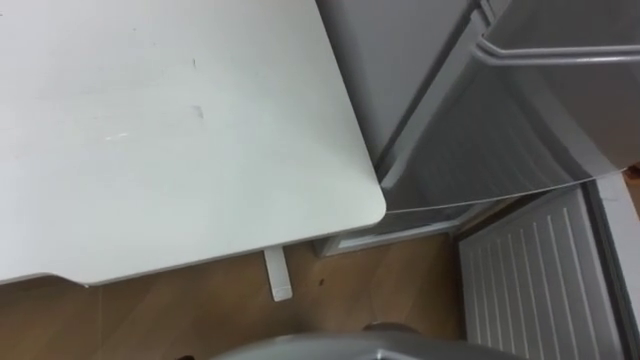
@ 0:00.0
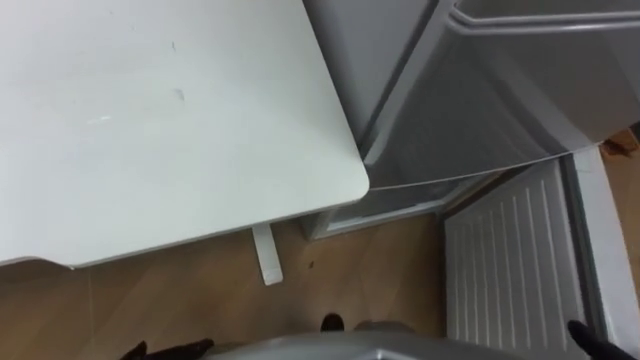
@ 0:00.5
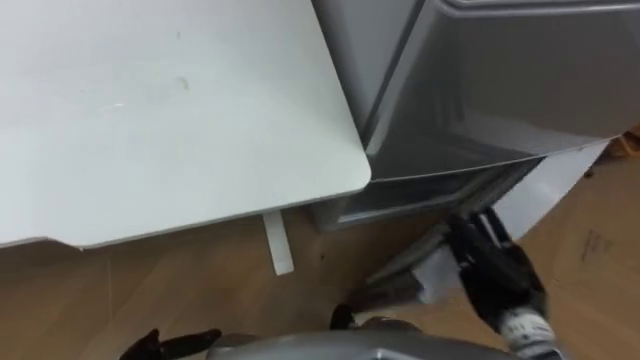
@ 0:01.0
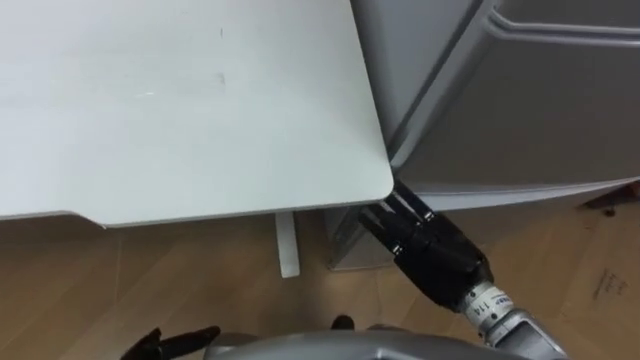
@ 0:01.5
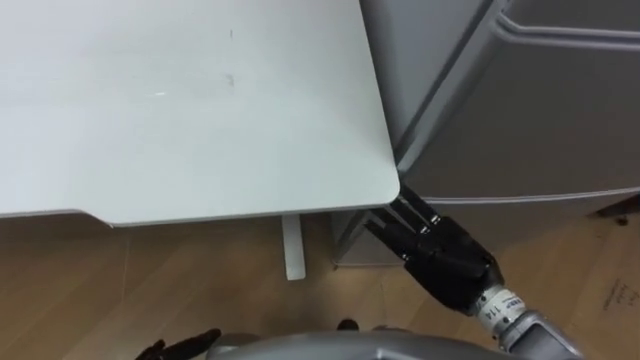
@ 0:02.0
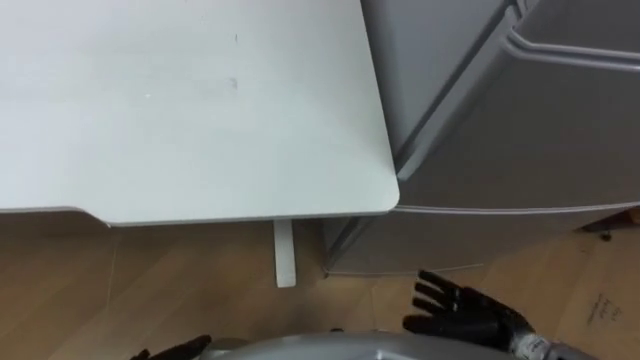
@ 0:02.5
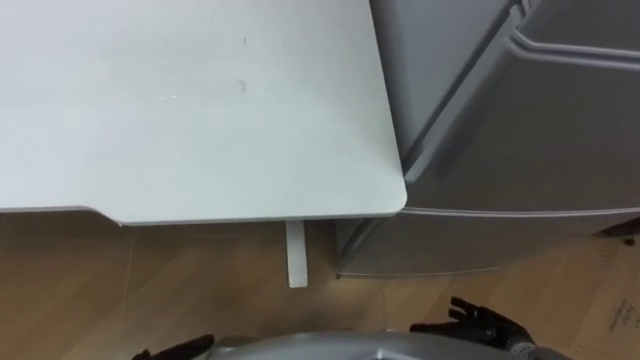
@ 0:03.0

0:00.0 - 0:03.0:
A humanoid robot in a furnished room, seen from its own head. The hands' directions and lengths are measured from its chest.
Task of the whole recording: Place the drink on the table on the bottom shelf of the refrigerator, then close the drawer and the refrigerator door.
0:01.5 - 0:03.0: The right hand travels downward, backward and to the right by some 20 cm.

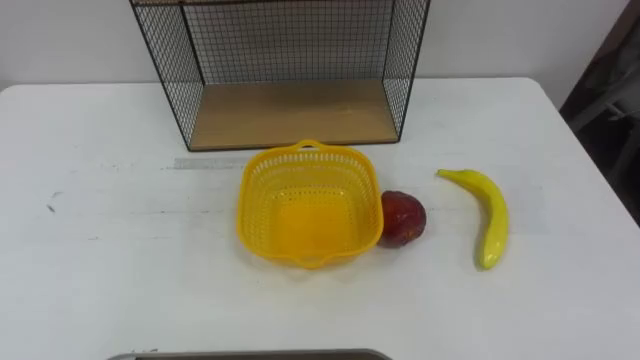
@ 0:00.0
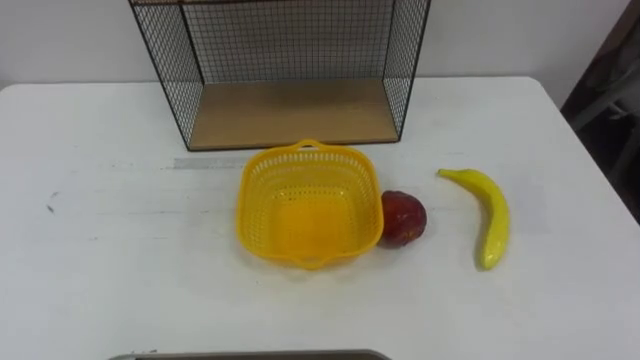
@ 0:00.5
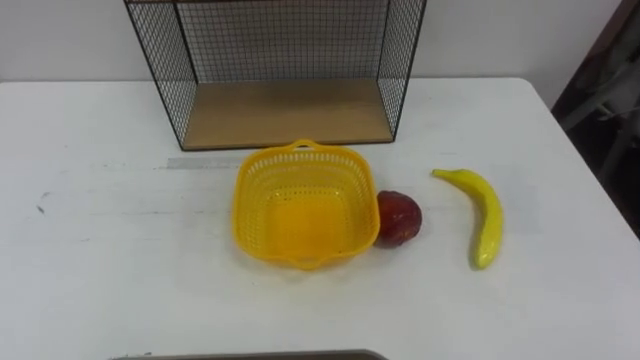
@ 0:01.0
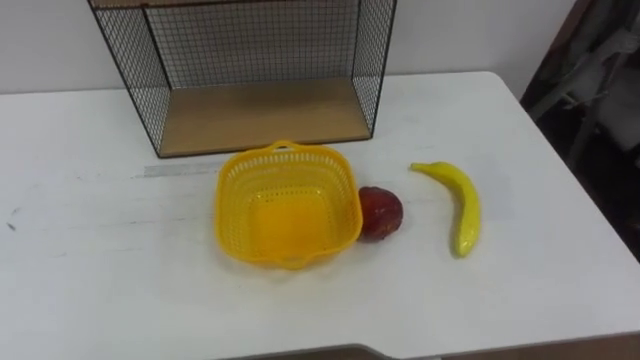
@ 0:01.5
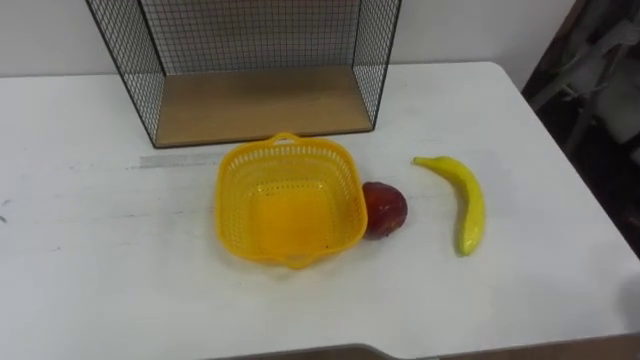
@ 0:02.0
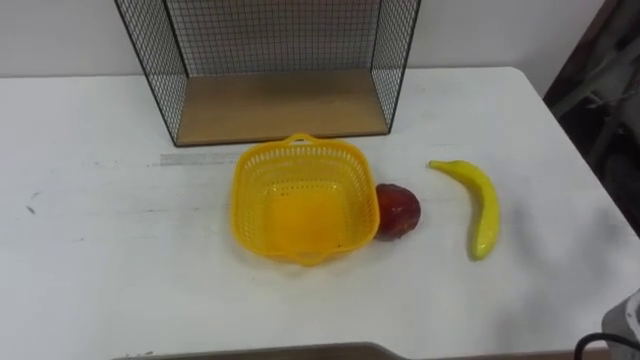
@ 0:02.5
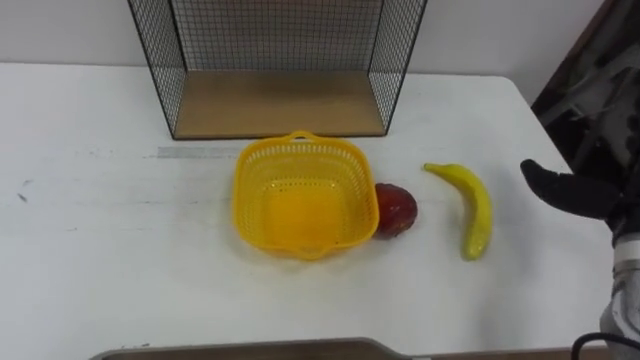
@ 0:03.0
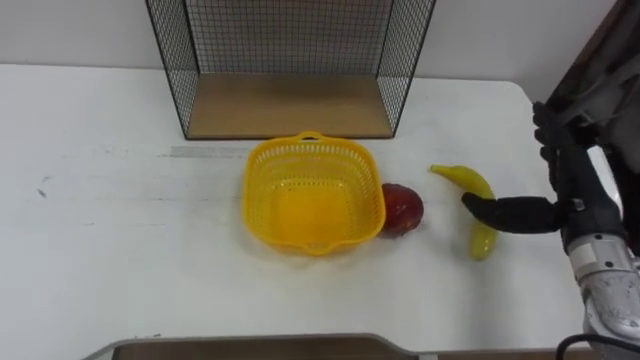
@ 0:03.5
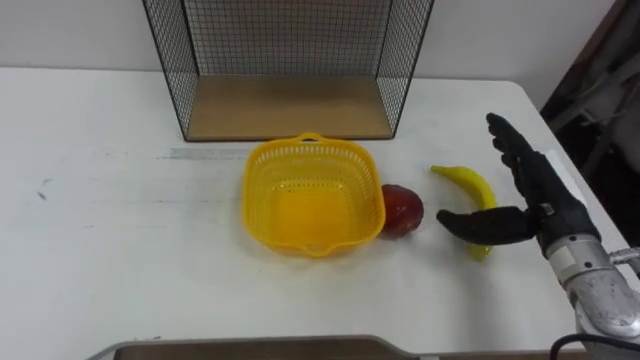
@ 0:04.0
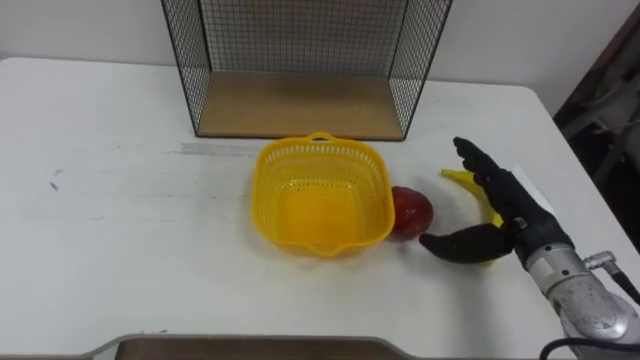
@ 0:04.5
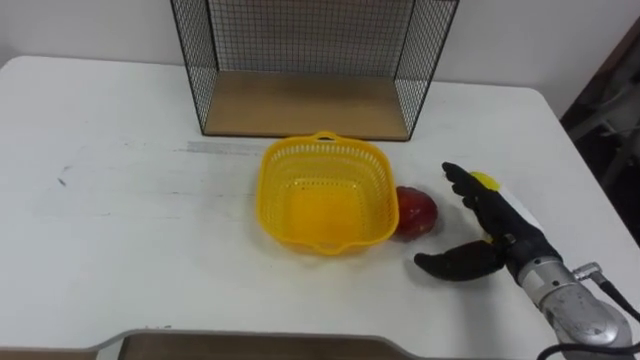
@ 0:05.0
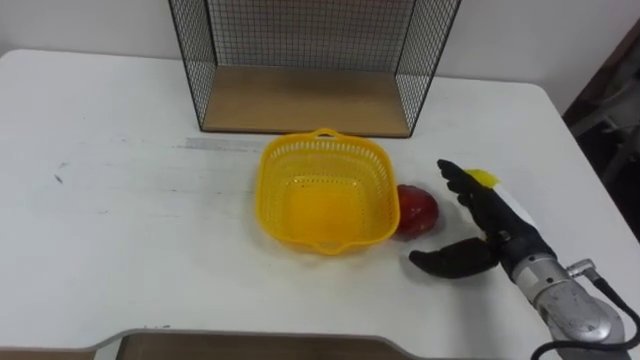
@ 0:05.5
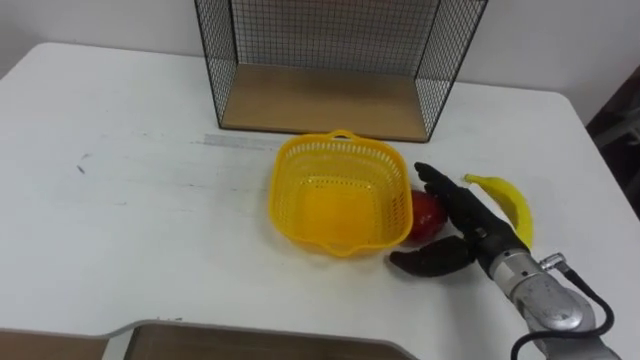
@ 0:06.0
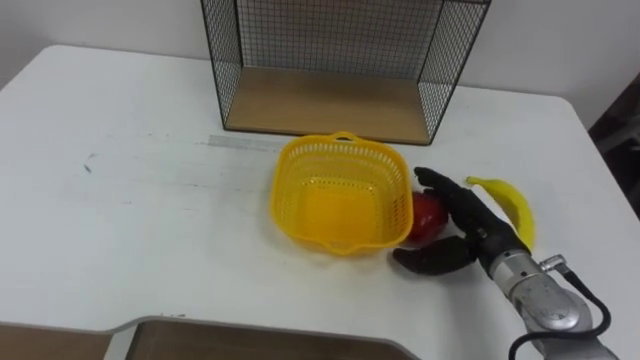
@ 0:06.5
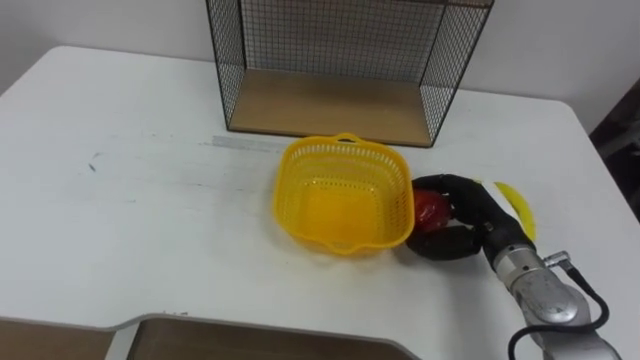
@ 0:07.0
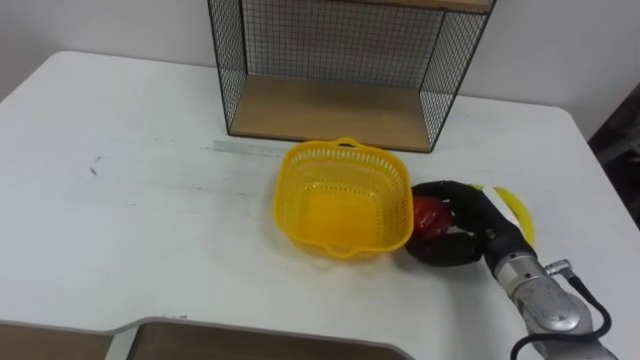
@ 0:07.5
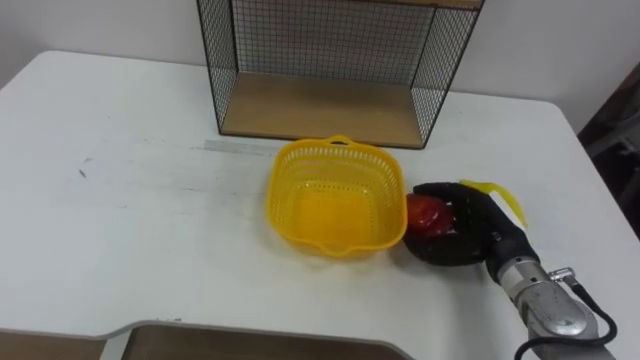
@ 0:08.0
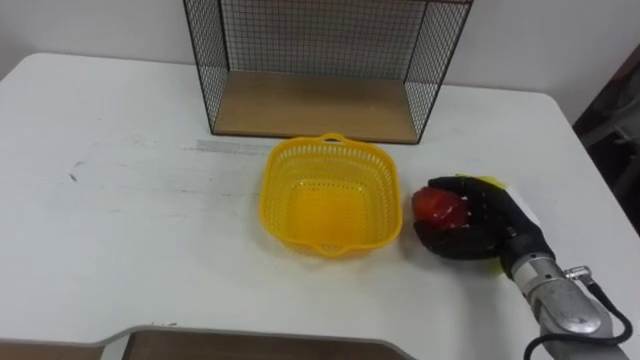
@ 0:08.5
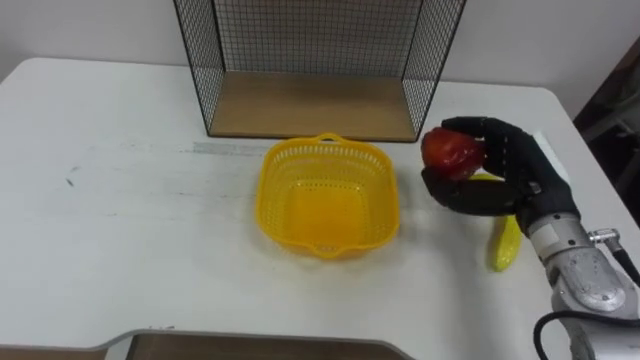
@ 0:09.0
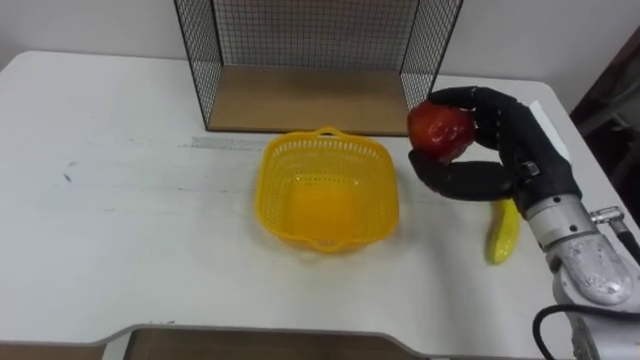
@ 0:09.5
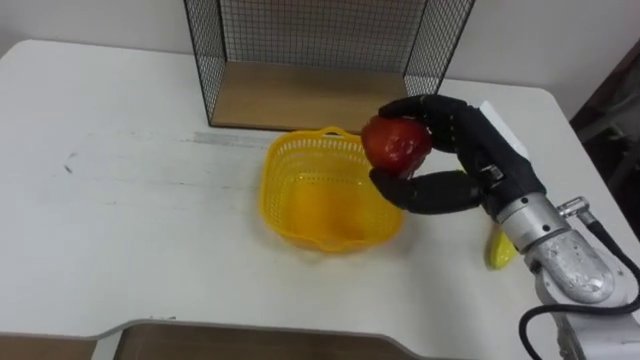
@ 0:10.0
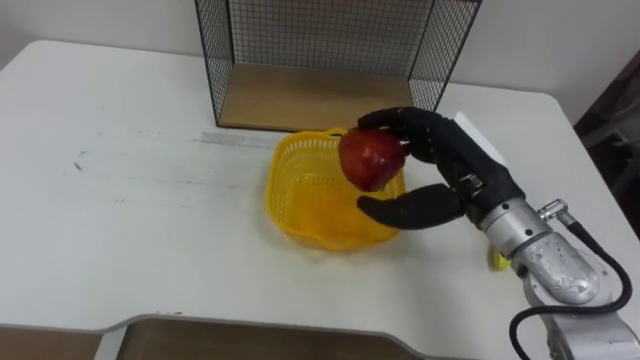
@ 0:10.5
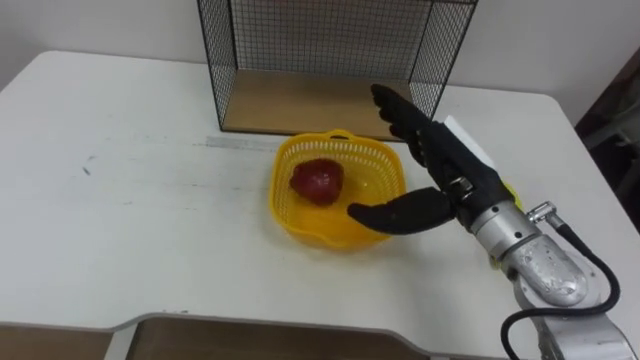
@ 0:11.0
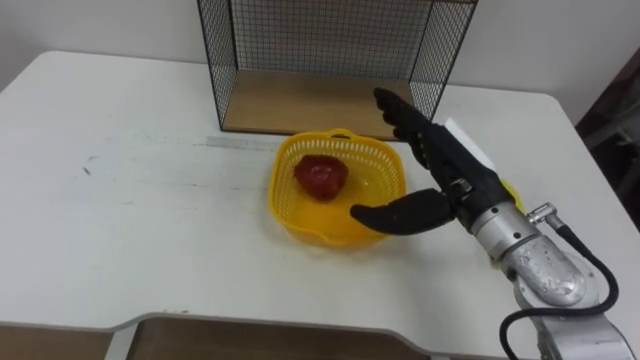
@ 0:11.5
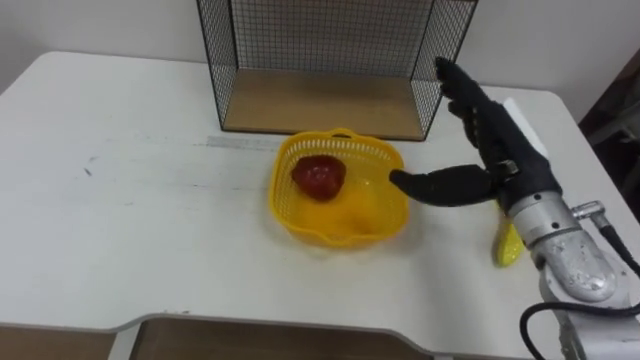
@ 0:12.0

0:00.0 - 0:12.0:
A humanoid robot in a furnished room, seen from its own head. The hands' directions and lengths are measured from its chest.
Task of the whole recording: Put the fruit on the table into the basket, then place the basket on the shelf.
0:04.0 - 0:06.0: The right hand goes about 10 cm downward and to the left.
0:06.0 - 0:08.0: The right hand closes its fingers.
0:08.0 - 0:10.0: The right hand moves upward, approximately 15 cm.
0:10.0 - 0:12.0: The right hand opens.

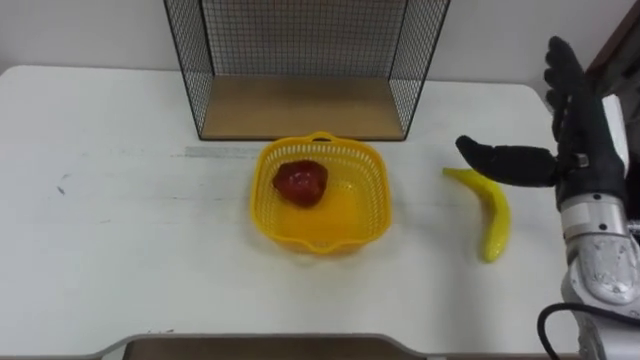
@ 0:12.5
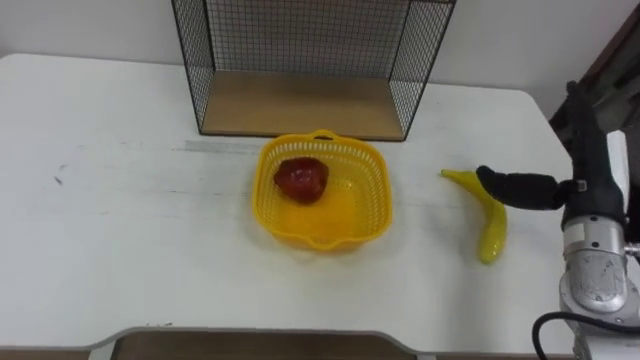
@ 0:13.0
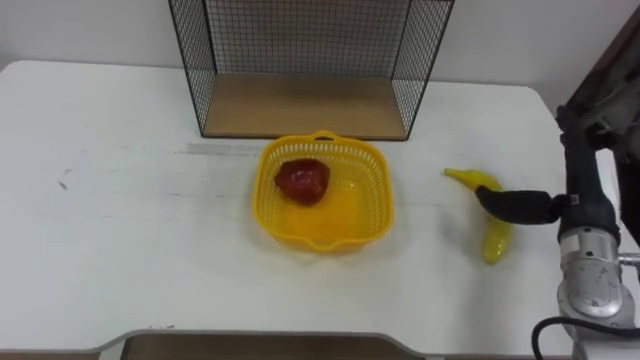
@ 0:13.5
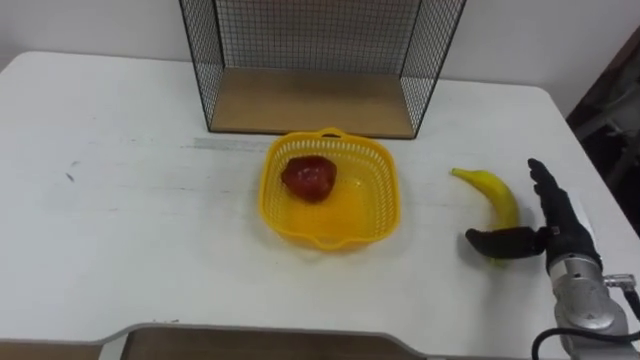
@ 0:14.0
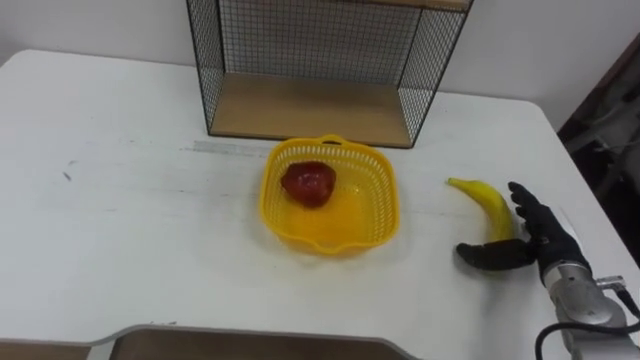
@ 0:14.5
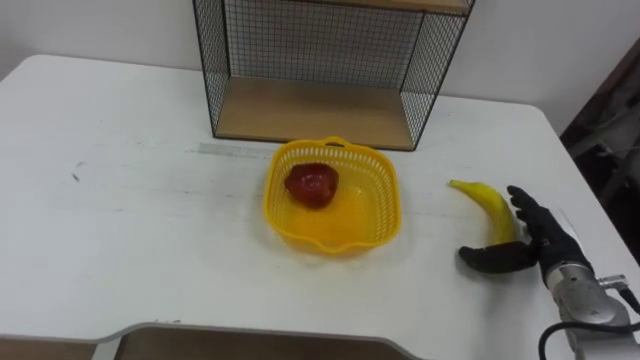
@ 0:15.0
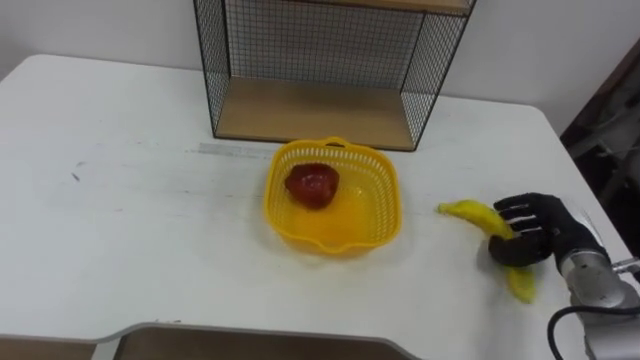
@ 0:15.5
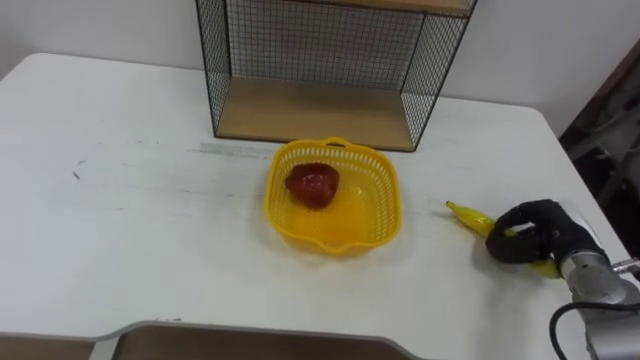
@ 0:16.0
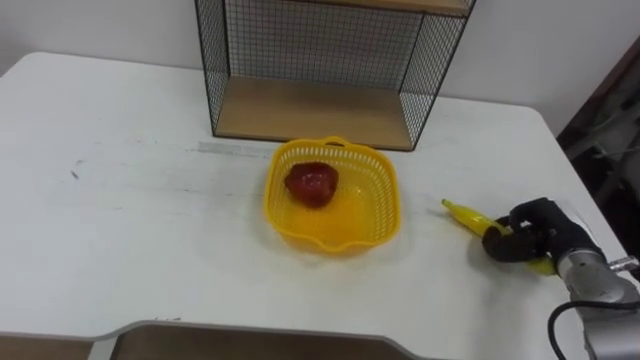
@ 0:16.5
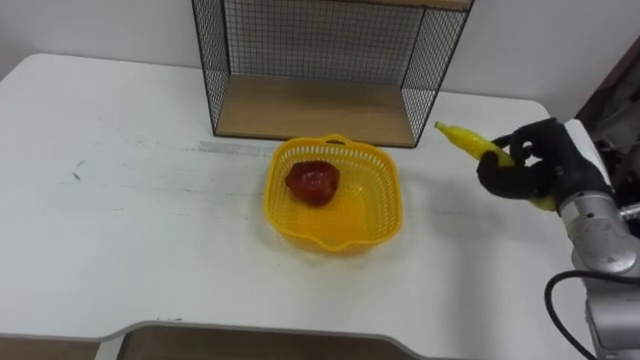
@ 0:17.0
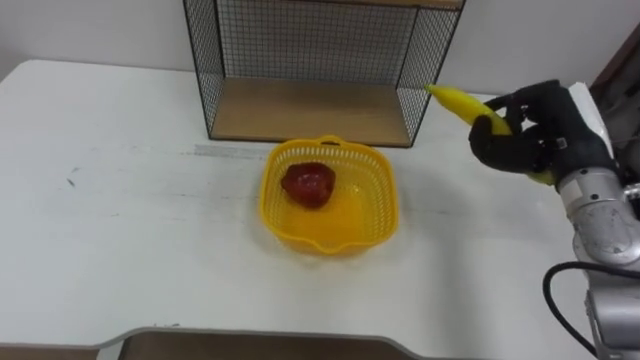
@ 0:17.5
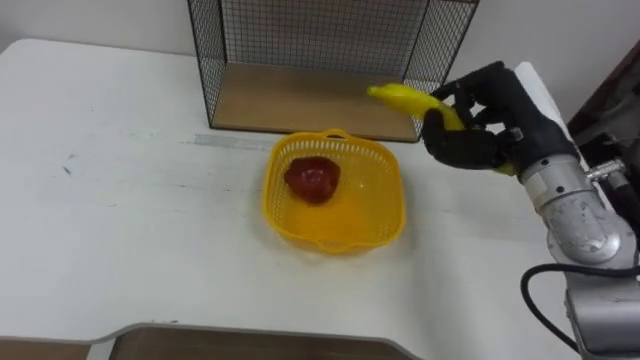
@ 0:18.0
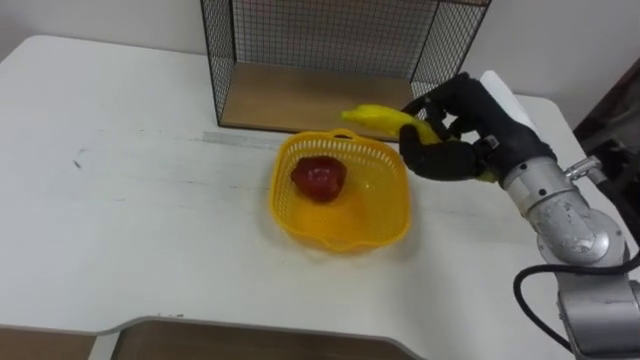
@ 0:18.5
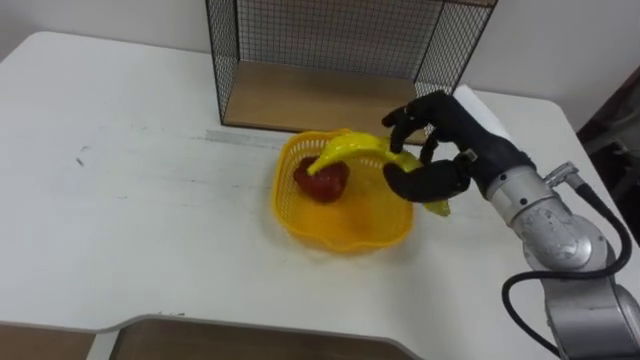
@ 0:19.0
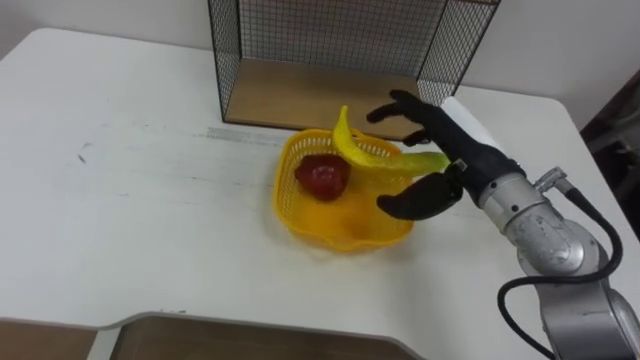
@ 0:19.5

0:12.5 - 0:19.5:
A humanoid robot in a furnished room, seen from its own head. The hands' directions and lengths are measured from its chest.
Task of the whole recording: Put the fruit on the table into the basket, then place the basket on the shelf.
0:12.5 - 0:14.5: The right hand heads downward, covering some 15 cm.
0:14.5 - 0:16.0: The right hand closes its fingers.
0:16.0 - 0:17.5: The right hand is displaced upward by some 15 cm.
0:17.5 - 0:19.5: The right hand goes about 10 cm to the left, and opens up.
